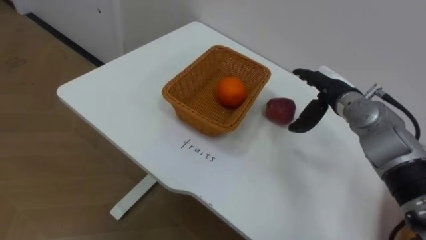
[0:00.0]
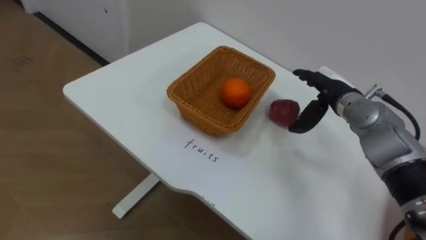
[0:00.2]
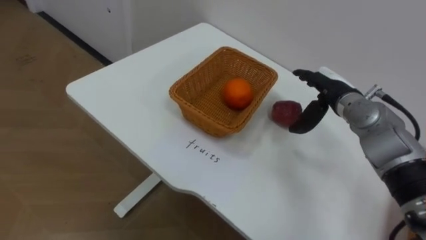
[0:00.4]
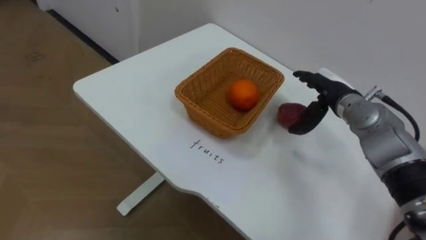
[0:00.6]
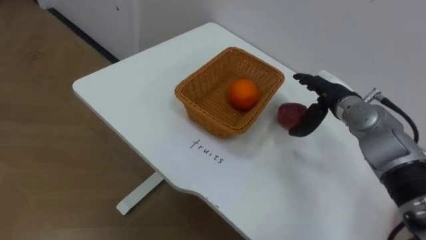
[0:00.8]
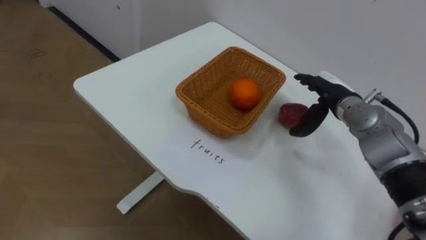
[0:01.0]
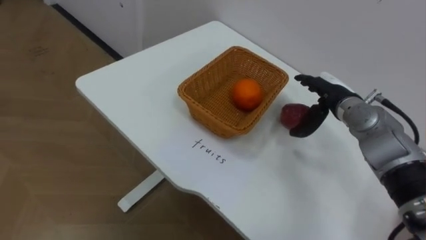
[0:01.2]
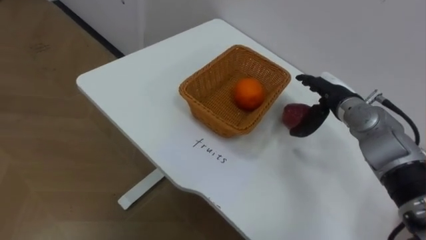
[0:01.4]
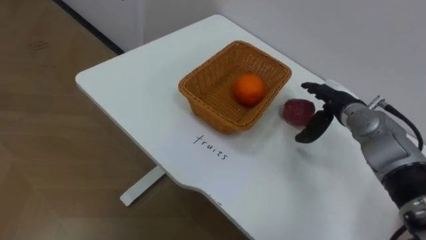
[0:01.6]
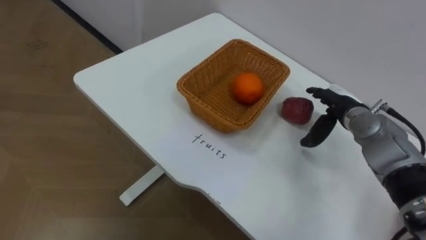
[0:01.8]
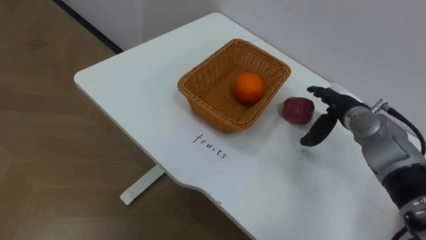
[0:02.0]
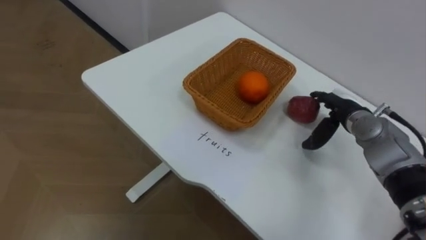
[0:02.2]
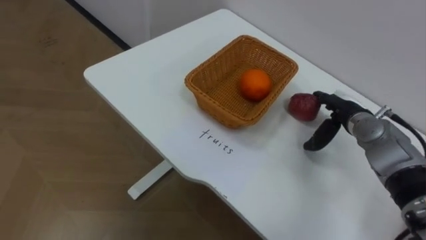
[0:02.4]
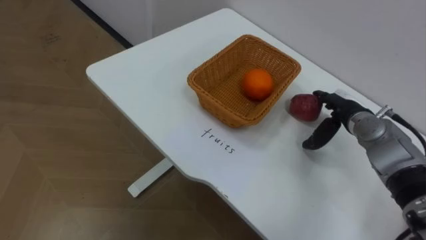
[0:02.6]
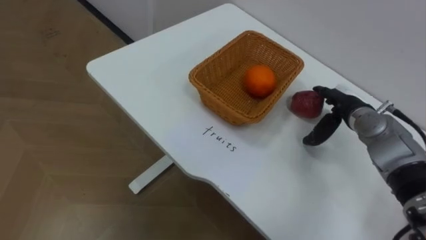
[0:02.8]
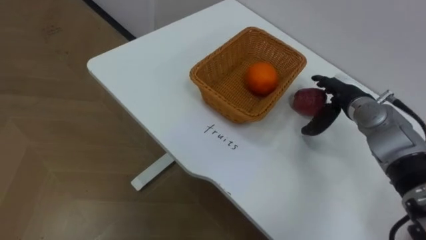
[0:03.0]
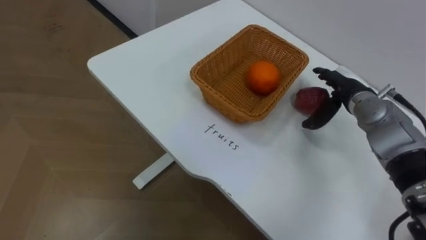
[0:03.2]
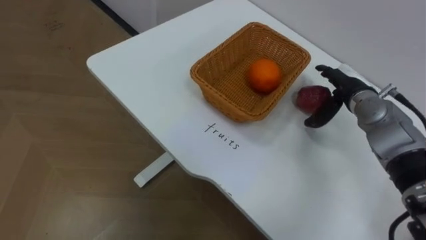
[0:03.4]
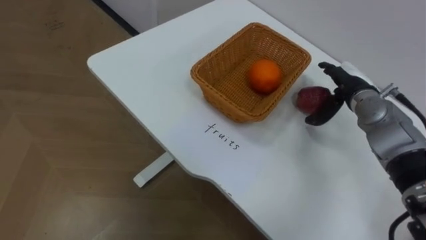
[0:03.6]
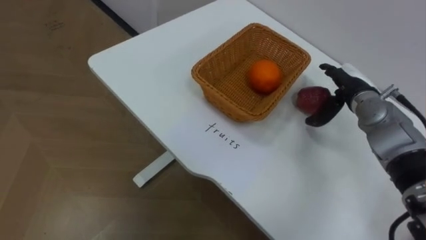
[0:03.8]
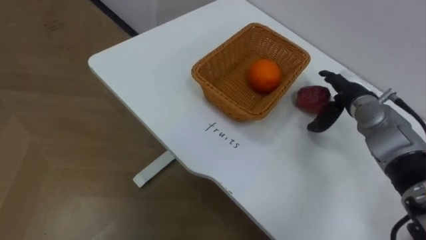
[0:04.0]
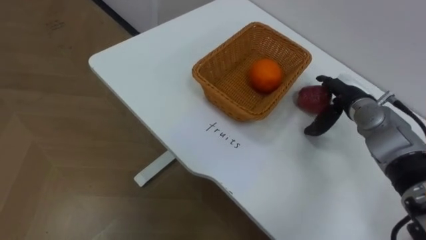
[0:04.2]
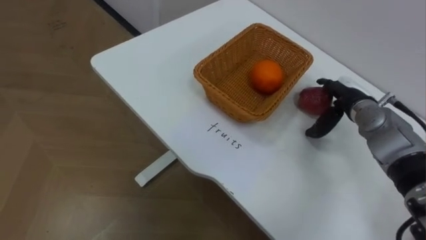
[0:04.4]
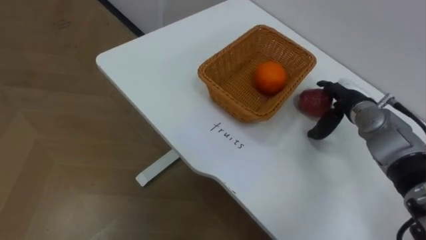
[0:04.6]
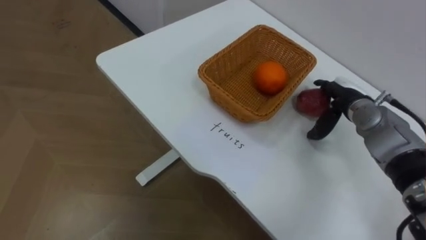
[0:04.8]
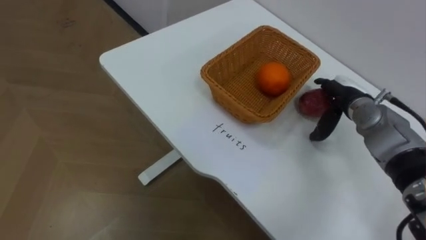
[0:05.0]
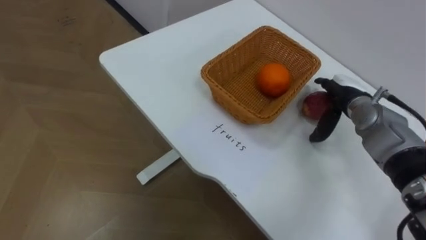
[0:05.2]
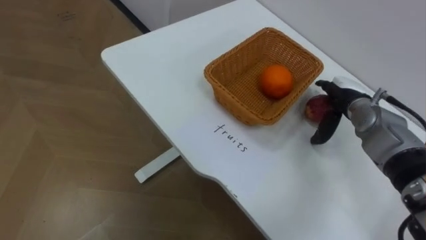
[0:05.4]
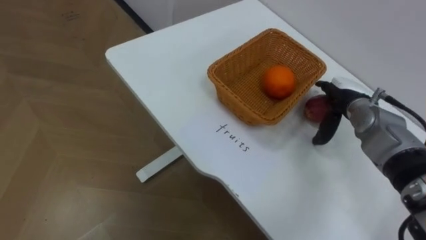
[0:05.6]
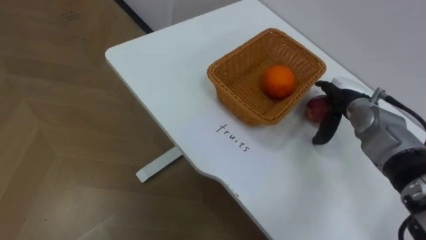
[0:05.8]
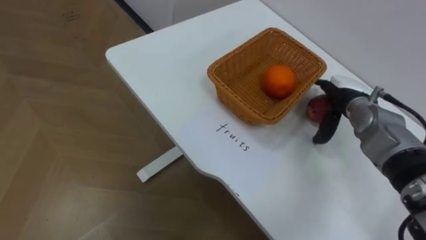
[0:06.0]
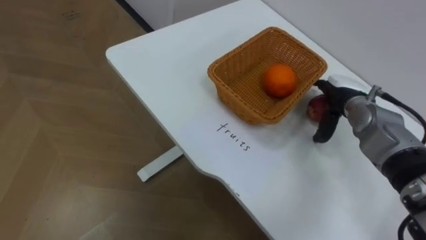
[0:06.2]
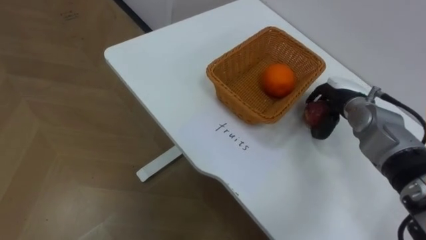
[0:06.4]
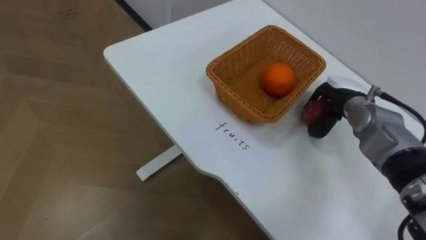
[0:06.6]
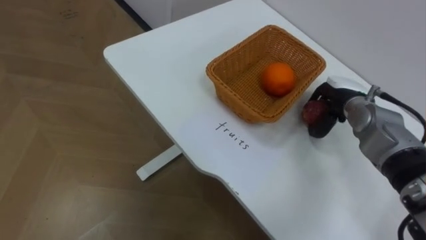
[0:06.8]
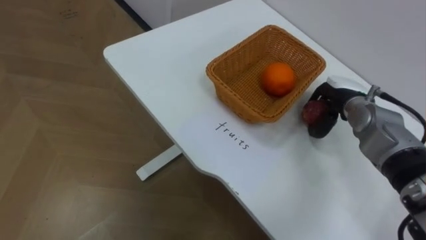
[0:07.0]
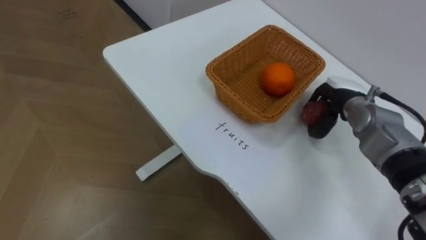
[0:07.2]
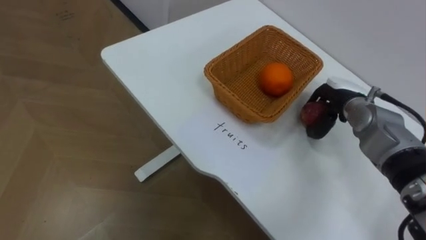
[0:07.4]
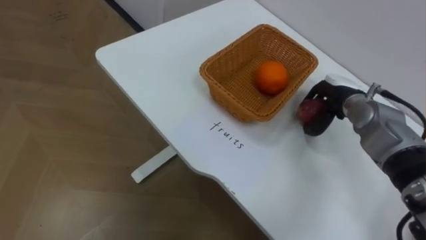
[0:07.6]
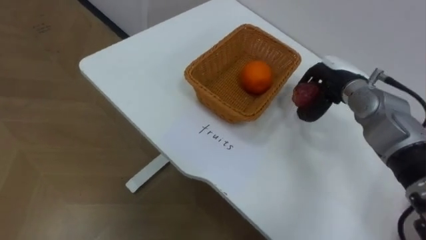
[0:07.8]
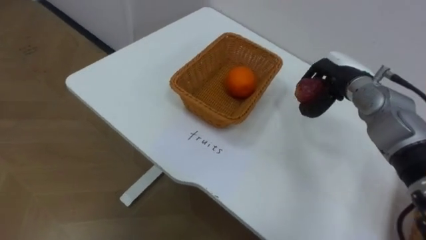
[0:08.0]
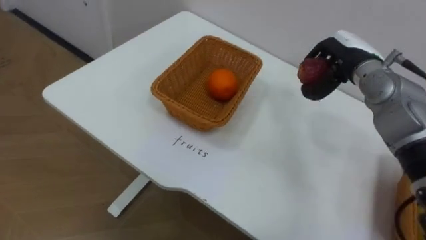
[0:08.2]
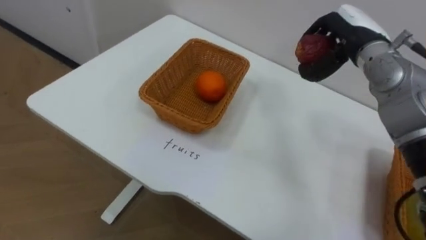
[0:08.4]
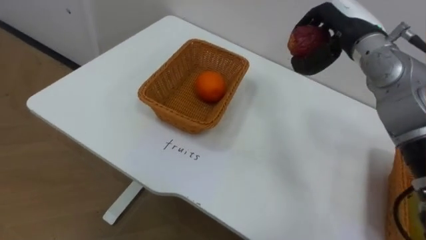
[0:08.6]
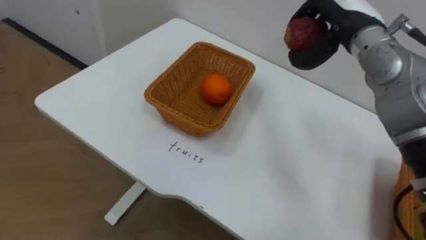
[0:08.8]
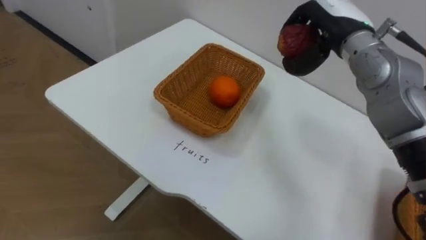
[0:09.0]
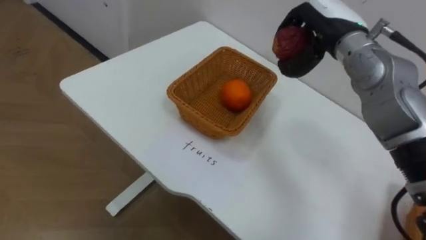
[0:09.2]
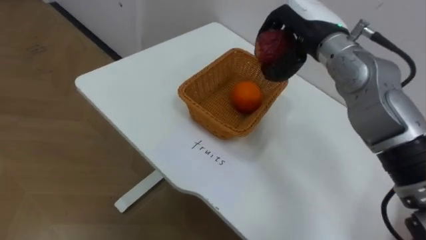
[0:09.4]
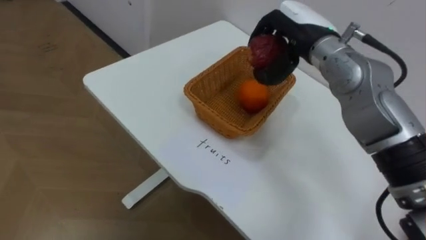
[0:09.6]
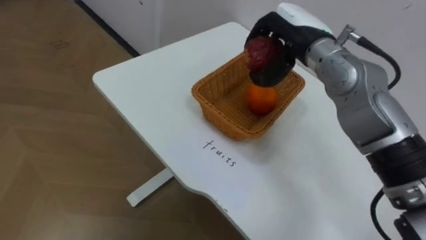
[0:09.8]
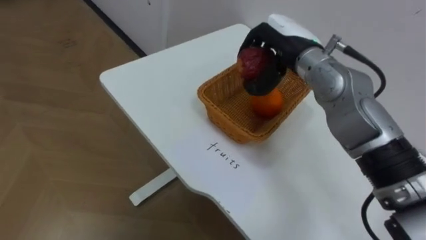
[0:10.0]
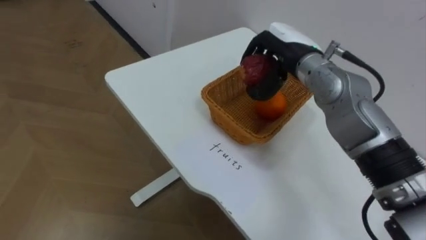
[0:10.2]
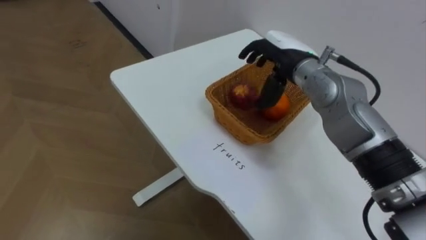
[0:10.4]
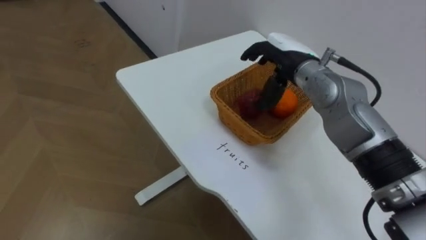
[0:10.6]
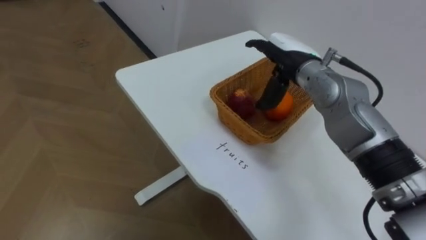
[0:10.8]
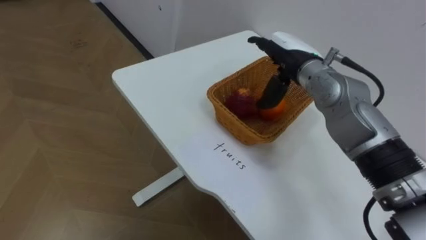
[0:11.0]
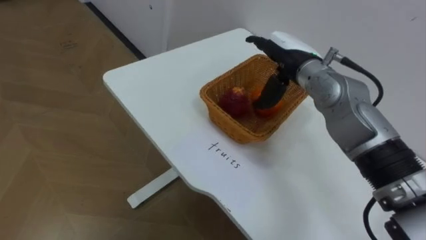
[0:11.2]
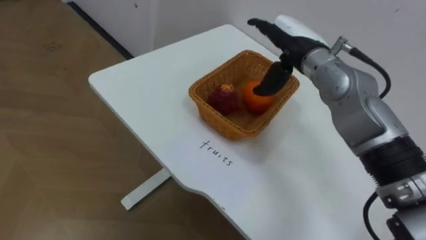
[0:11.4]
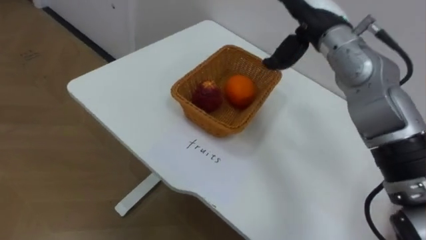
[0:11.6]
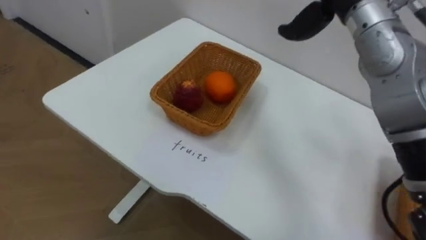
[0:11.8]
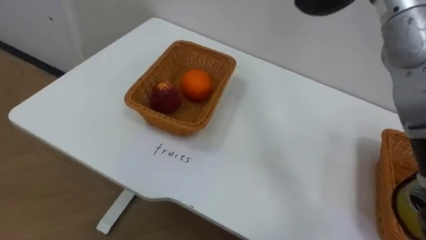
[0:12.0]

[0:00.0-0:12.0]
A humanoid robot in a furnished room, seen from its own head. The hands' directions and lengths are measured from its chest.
Task of the whole recording: Separate the items on the table and place them into the two baskets.
0:06.0 to 0:07.6: The right hand closes.
0:07.6 to 0:09.0: The right hand shifts some 15 cm upward.
0:09.0 to 0:10.4: The right hand shifts about 10 cm to the left and downward.

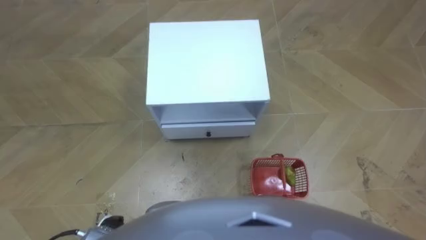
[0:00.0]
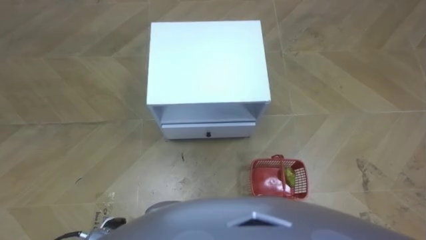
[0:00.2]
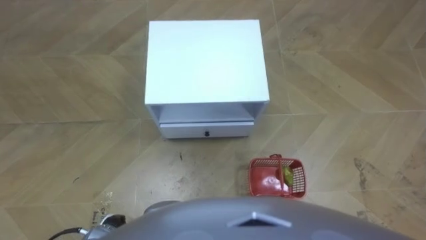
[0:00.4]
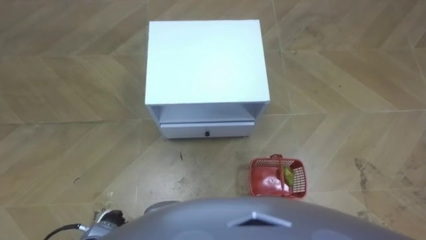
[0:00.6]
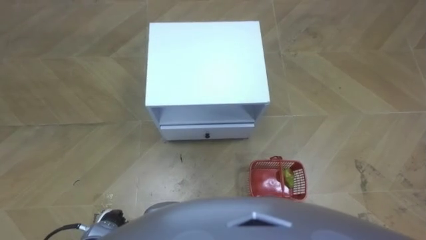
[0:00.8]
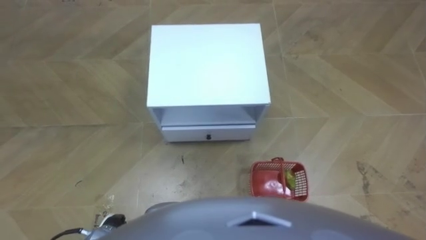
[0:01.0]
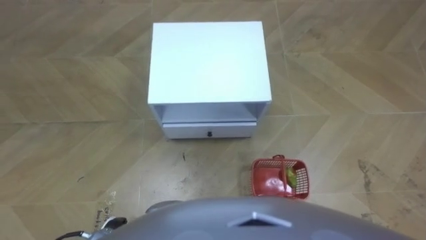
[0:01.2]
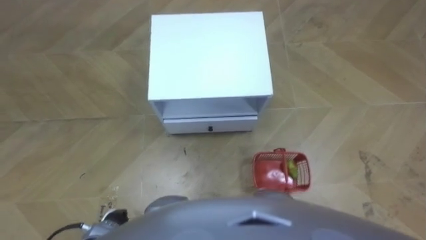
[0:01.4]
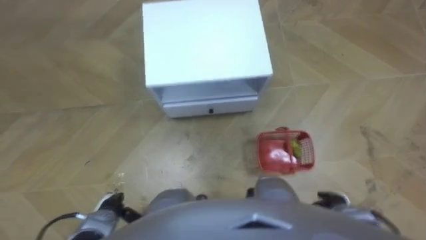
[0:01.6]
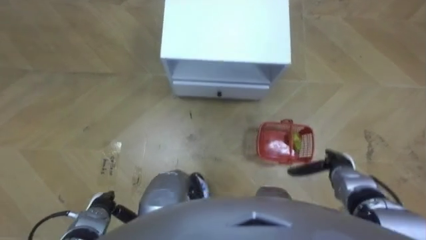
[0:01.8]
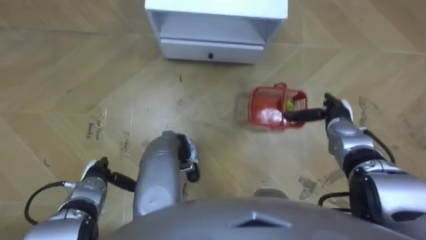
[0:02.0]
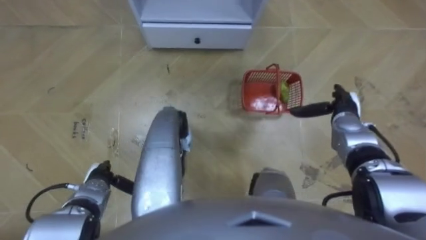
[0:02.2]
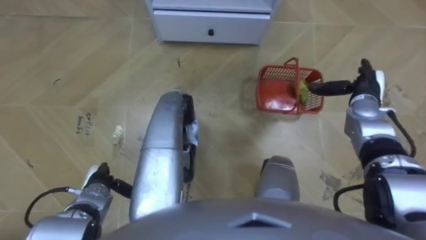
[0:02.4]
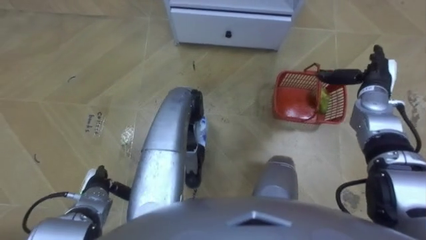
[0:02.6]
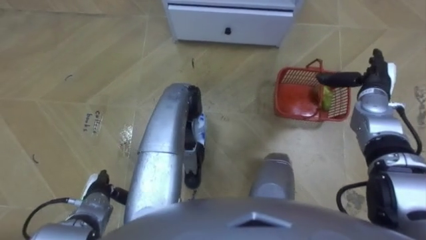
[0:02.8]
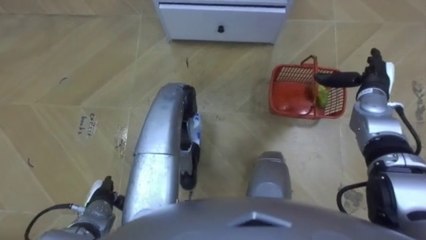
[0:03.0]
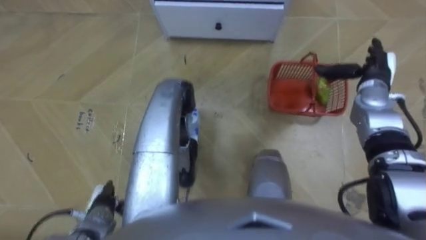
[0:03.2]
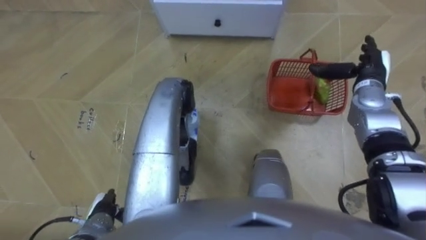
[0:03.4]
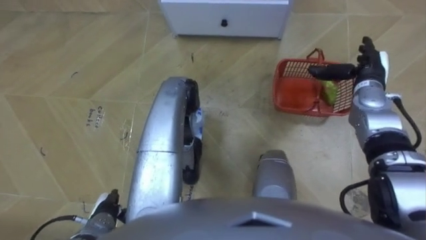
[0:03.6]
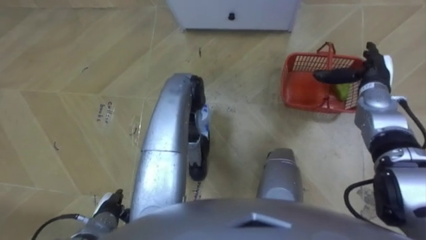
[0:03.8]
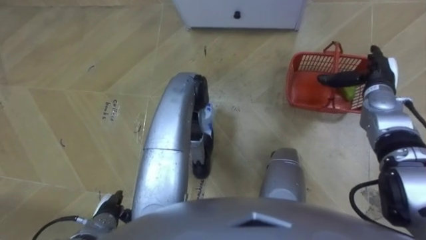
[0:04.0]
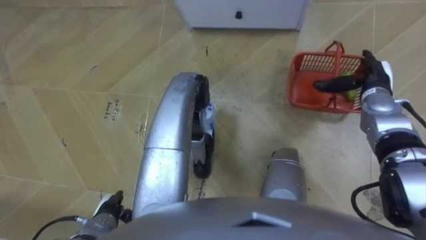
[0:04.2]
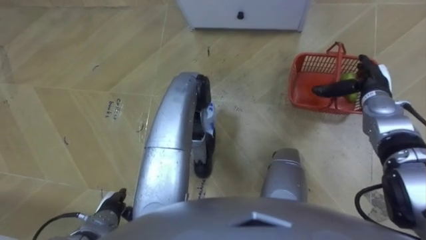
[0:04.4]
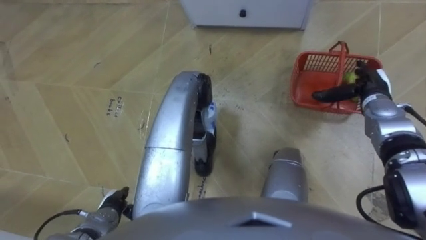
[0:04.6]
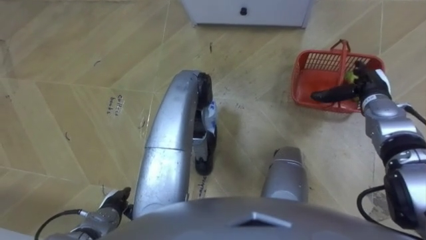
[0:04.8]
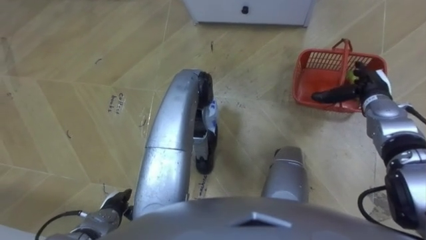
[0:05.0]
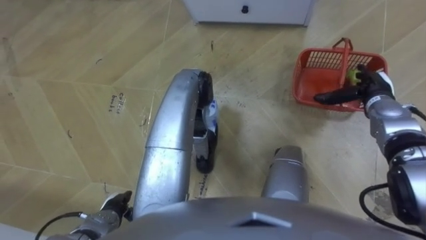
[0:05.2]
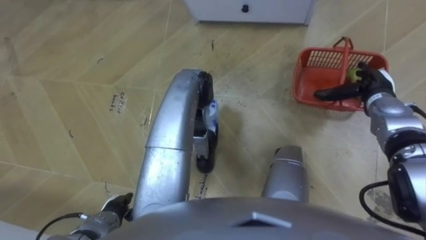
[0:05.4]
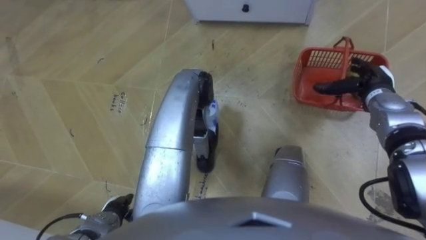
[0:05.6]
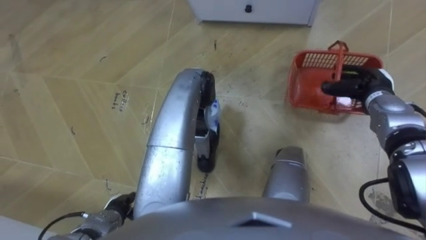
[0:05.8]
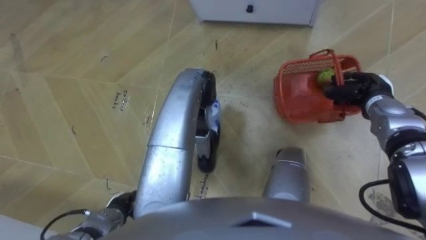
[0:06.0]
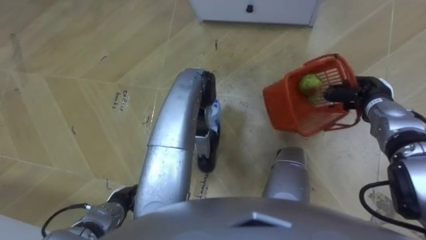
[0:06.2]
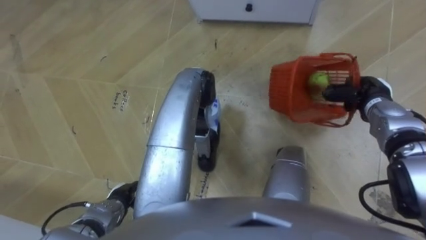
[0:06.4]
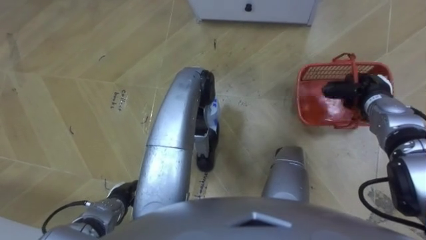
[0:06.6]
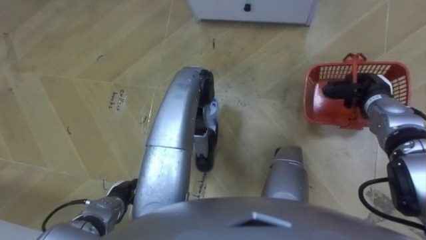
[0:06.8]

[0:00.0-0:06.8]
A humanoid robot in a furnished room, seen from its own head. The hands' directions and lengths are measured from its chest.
Task of the whole recording: Pick up the fruit basket from the floor and place it on the cabinet.
0:01.4 to 0:02.8: The right hand moves forward and upward, roughly 35 cm. Meanwhile the left hand shifts some 10 cm forward.
0:02.8 to 0:04.0: The left hand shifts by roughly 5 cm.
0:05.4 to 0:06.8: The right hand closes.
